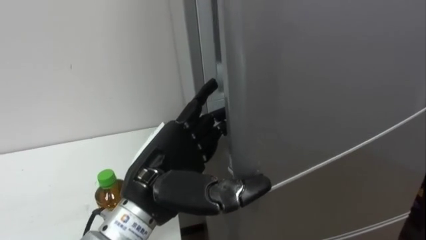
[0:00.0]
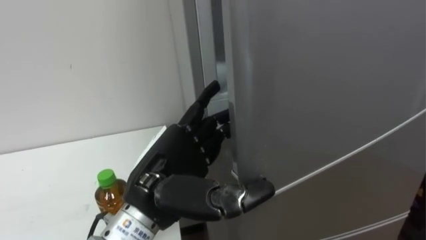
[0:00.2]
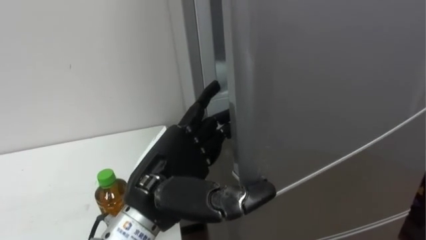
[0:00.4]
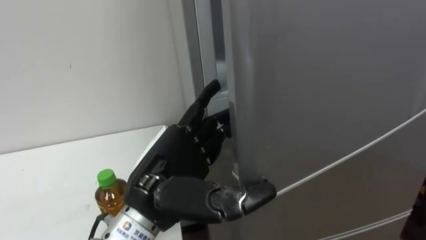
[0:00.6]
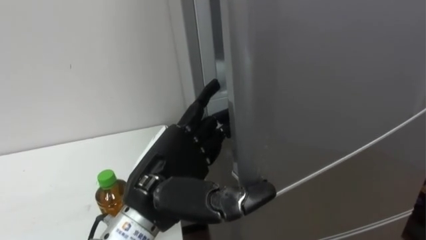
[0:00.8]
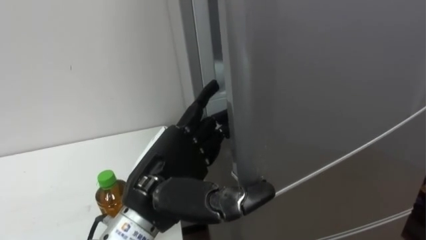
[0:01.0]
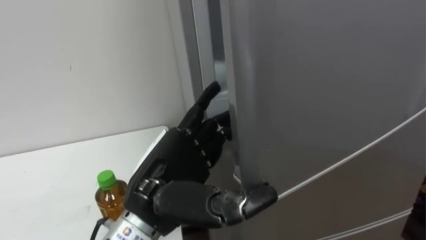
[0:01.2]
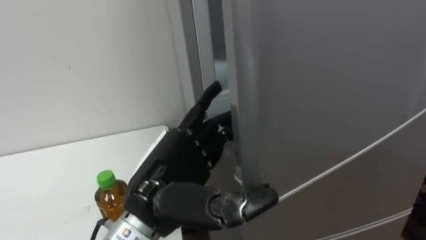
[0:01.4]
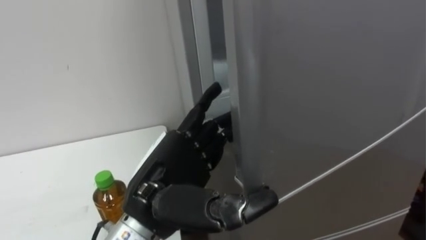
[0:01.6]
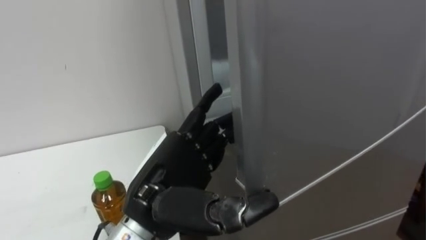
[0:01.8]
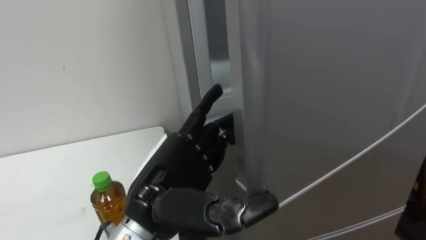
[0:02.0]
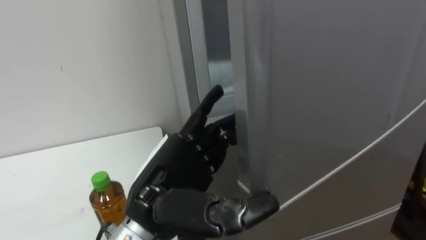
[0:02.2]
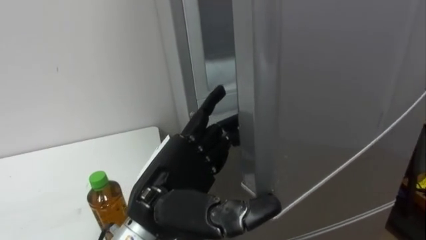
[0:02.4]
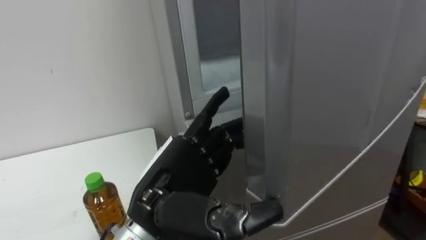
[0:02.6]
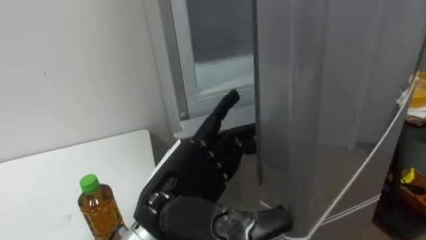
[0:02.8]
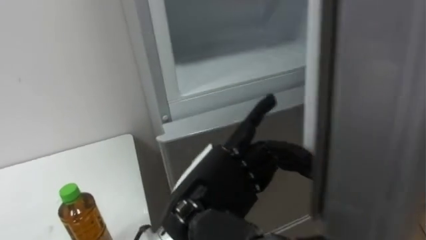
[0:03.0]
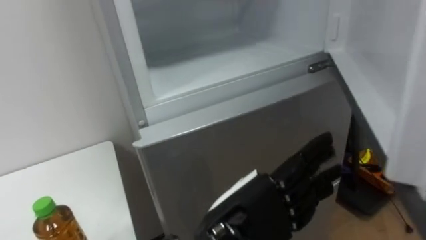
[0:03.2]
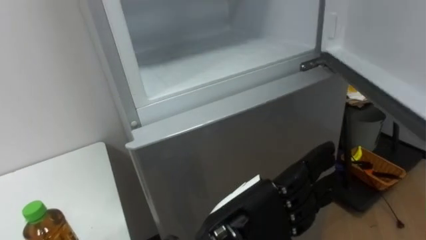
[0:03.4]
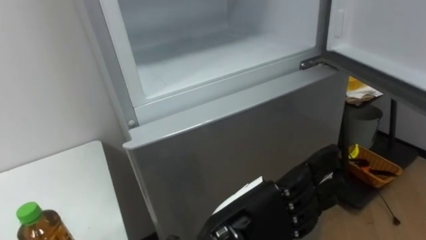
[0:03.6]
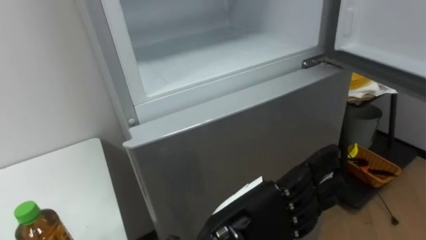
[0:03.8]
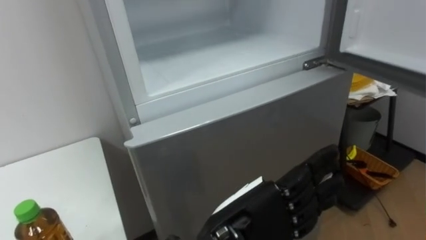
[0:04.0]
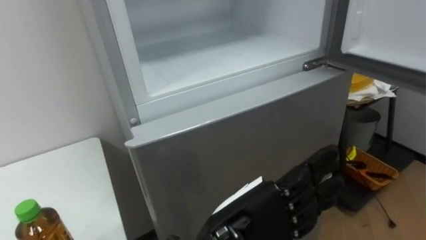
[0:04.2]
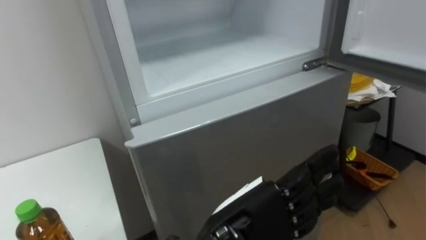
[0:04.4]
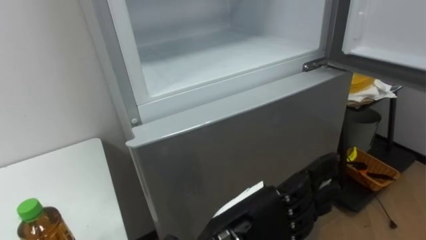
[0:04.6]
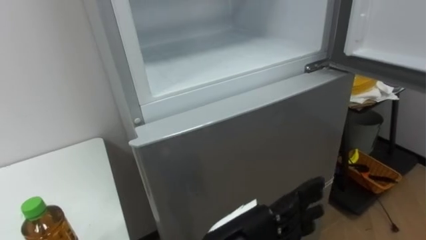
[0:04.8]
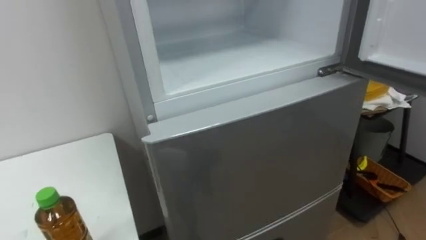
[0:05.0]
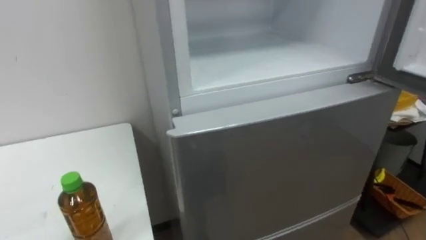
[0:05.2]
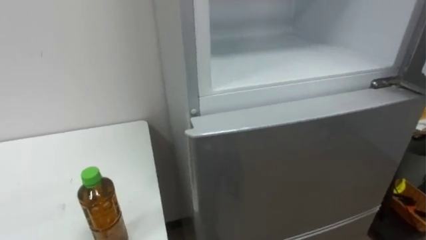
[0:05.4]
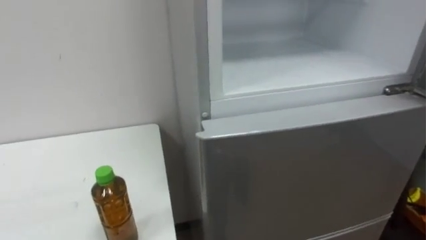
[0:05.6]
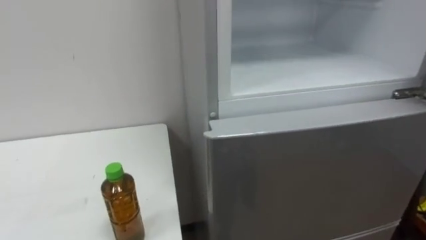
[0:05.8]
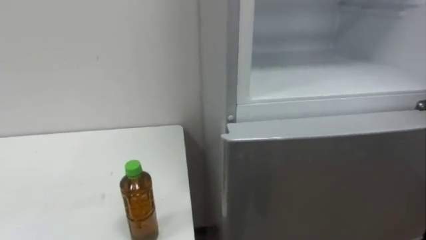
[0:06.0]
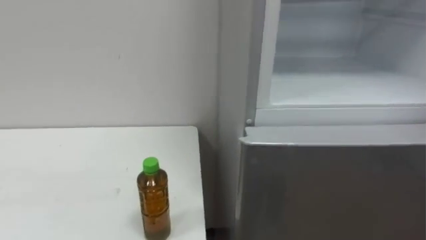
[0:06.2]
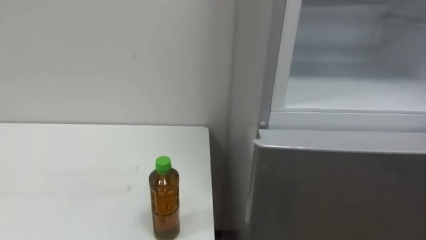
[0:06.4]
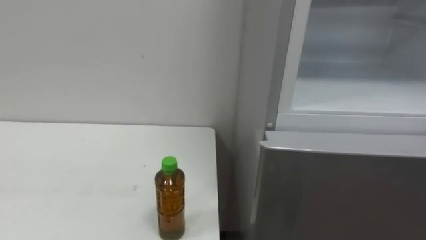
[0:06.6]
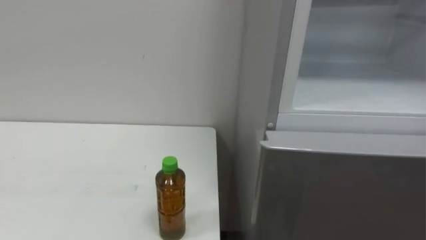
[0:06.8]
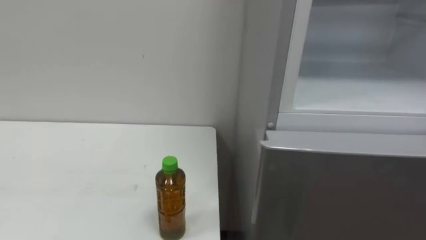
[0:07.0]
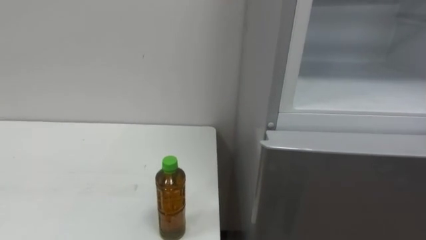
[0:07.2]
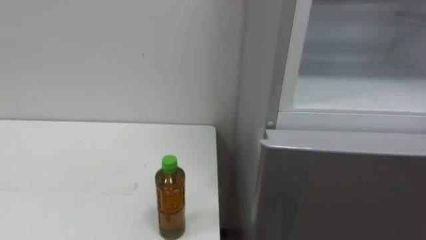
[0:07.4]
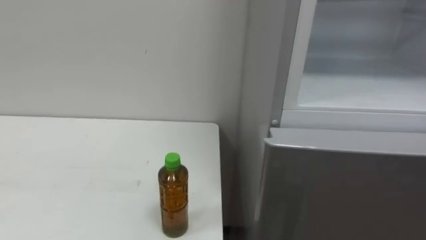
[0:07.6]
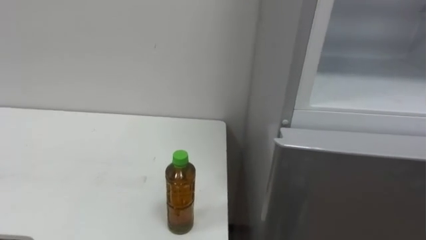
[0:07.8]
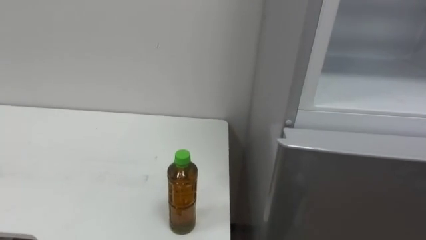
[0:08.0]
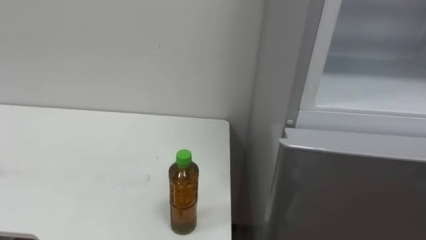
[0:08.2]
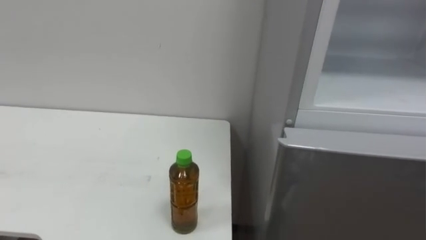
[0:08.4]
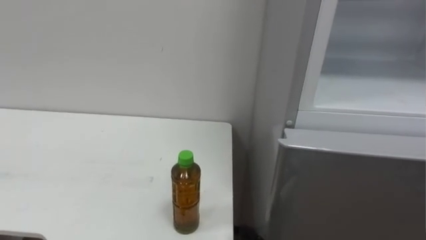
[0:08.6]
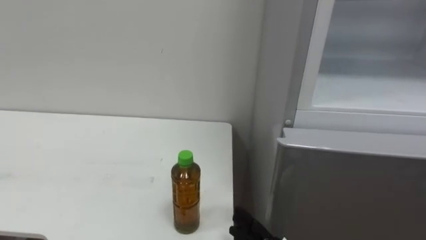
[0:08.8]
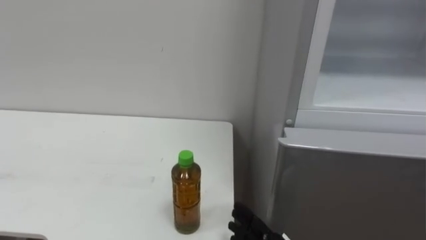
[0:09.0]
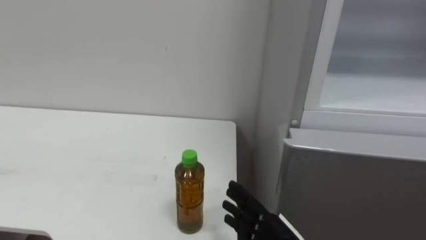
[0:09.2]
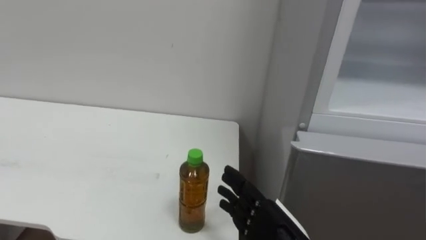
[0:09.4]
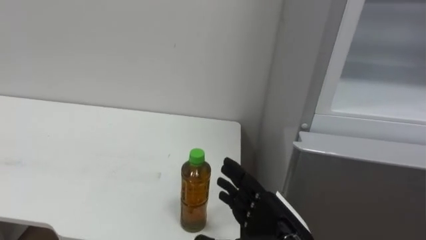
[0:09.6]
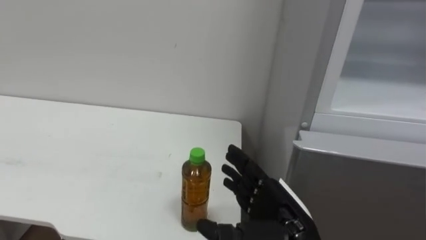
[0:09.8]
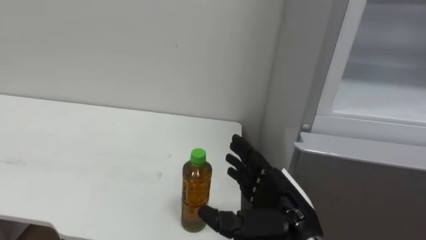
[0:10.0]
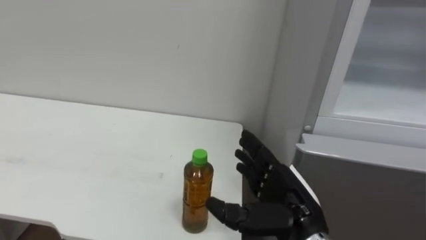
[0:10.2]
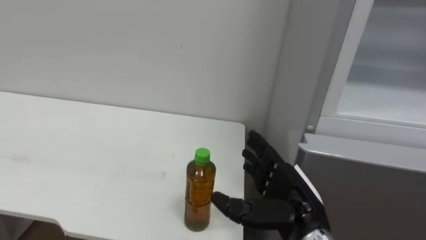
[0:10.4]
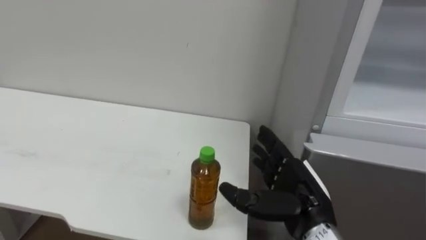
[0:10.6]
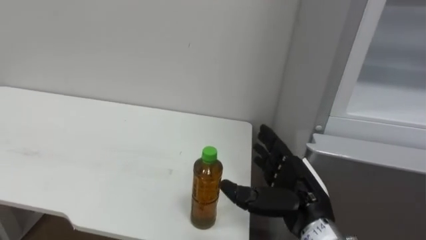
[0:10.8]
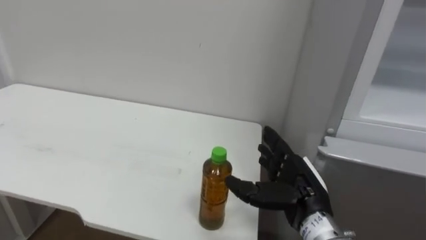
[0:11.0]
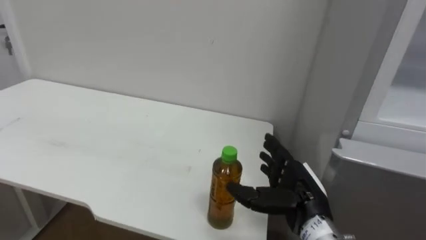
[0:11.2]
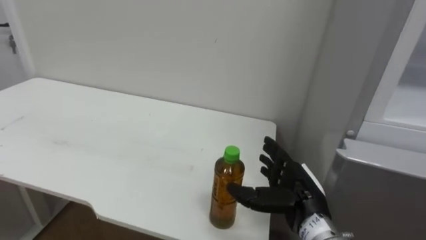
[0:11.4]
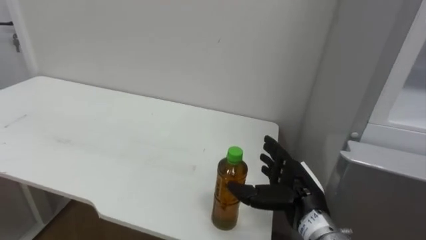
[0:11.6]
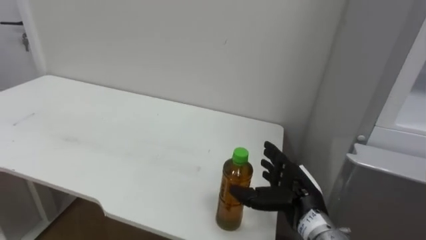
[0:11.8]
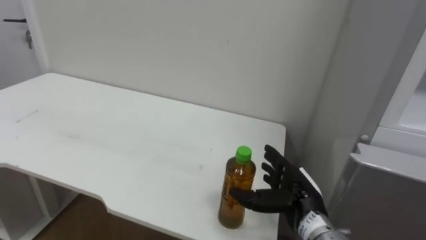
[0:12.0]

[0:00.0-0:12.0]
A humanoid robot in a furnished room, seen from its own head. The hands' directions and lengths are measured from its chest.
Task of the whole recording: Open the upper refrigerator door, put the drink from the table into the refrigerator, and then close the refrigerator door.
0:03.0 to 0:04.4: The left hand shifts by about 5 cm.
0:10.4 to 0:12.0: The right hand is displaced forward and downward by about 10 cm.

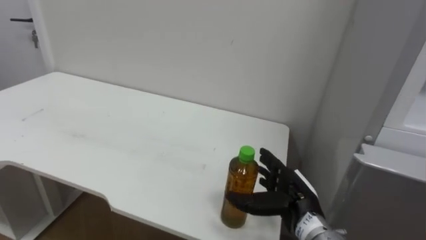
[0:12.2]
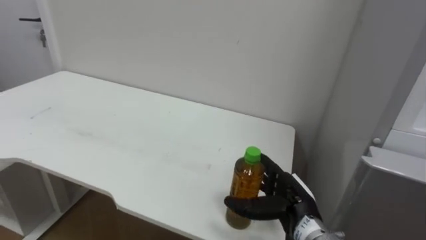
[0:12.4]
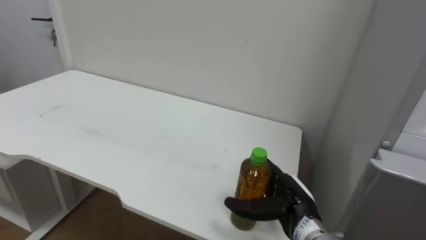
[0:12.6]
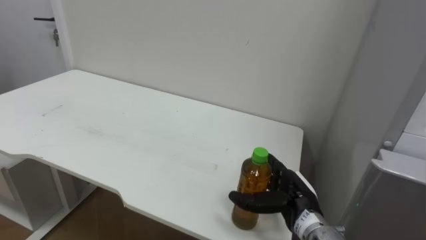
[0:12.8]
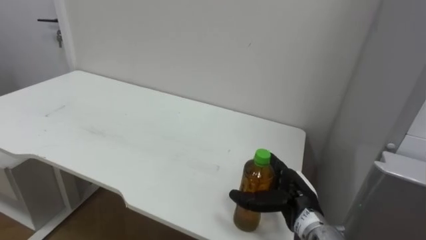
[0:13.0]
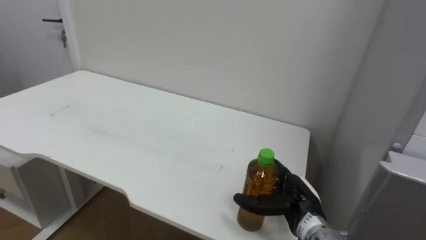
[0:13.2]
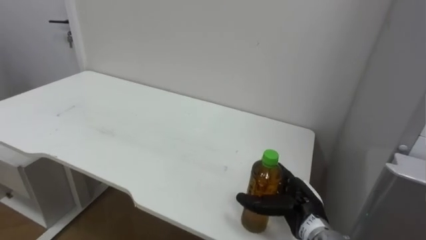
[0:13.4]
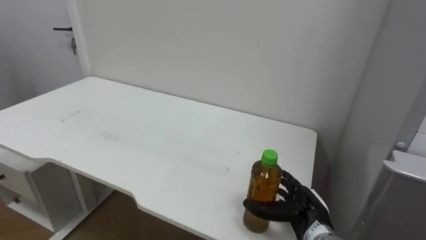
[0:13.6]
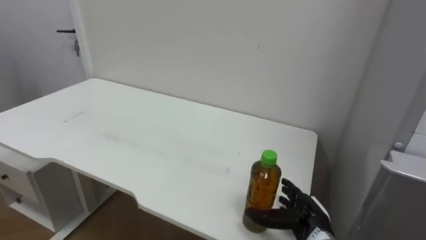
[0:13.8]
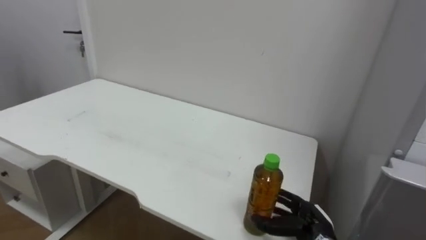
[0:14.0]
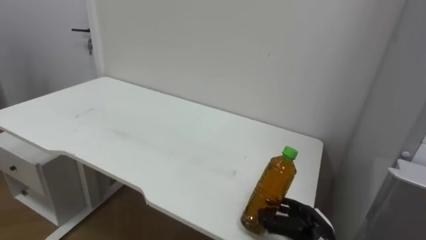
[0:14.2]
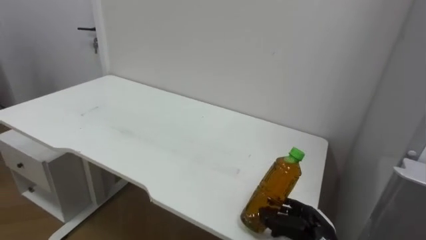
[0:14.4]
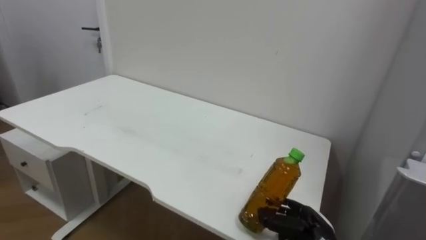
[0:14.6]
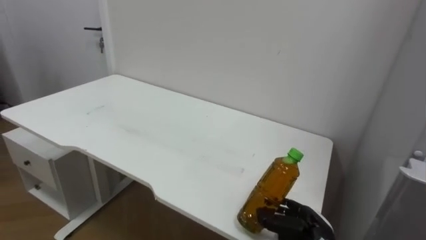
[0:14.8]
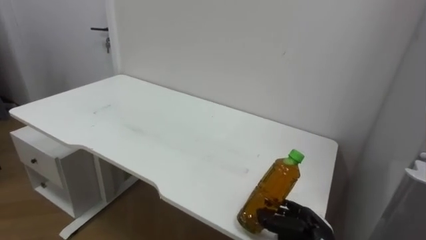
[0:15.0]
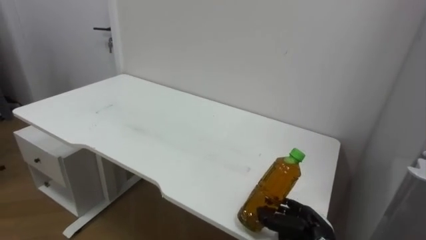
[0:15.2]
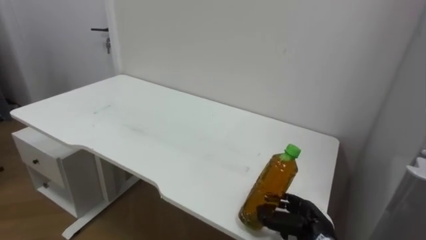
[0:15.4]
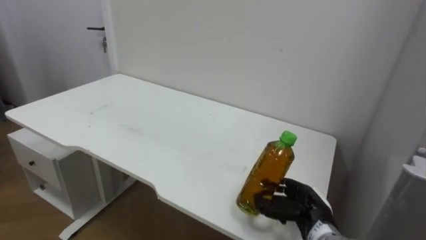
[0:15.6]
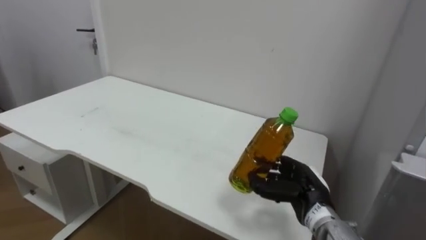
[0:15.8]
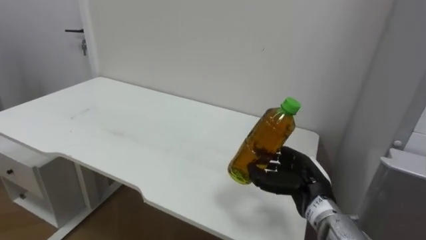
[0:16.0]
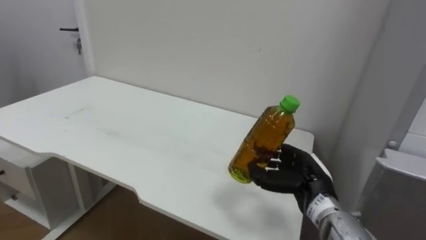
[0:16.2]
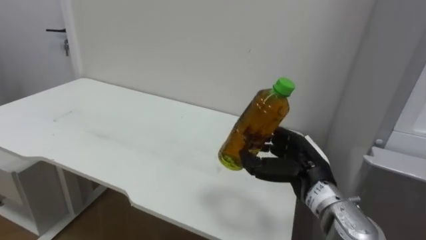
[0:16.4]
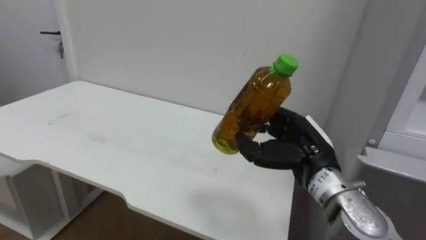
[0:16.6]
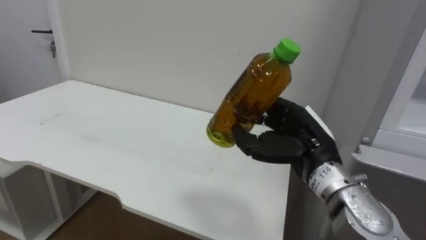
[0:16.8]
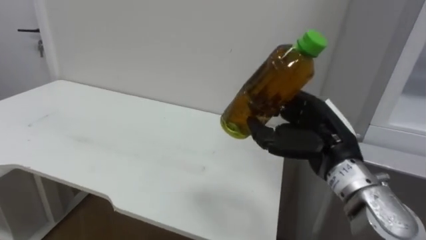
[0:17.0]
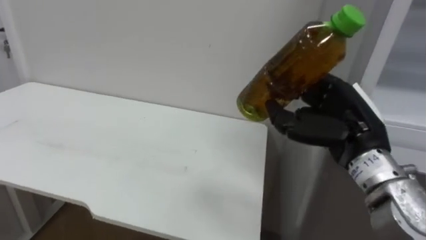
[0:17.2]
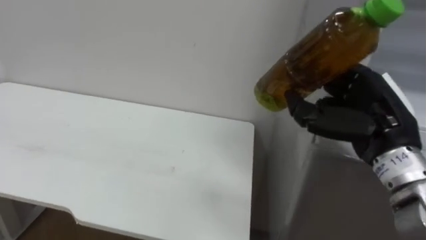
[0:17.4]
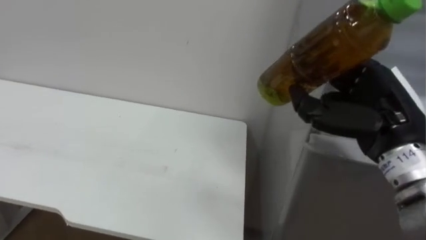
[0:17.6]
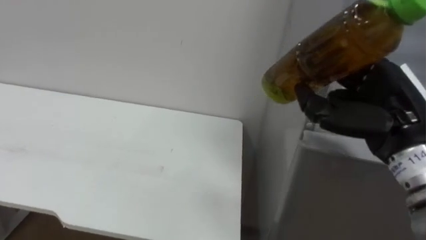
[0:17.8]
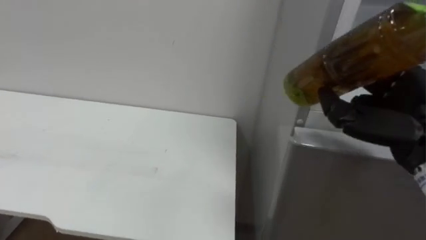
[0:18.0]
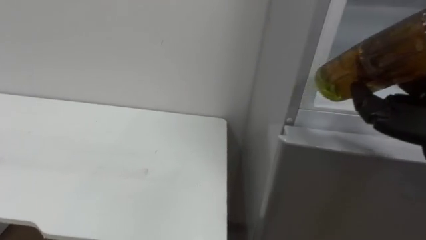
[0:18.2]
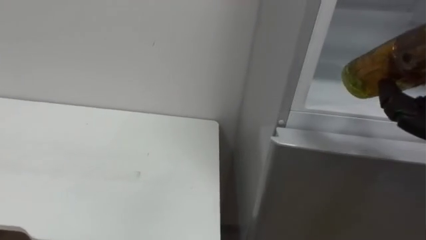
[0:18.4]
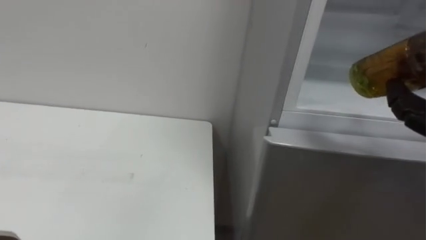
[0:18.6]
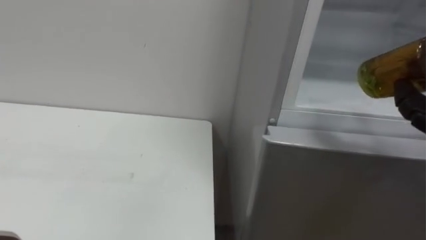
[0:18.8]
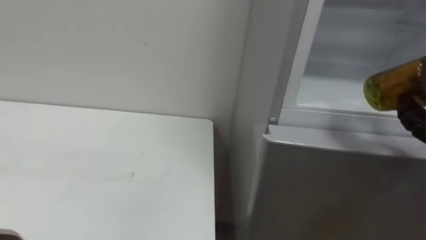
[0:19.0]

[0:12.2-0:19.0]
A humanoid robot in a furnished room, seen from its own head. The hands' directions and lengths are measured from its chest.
Task of the whole recording: Open the upper refrigerator door, put the drink from the table into the refrigerator, and then close the refrigerator door.
0:12.2 to 0:13.6: The right hand shifts by some 5 cm.
0:13.6 to 0:15.0: The right hand closes.
0:15.0 to 0:16.2: The right hand goes roughly 10 cm upward.
0:16.2 to 0:17.6: The right hand travels upward by some 15 cm.
